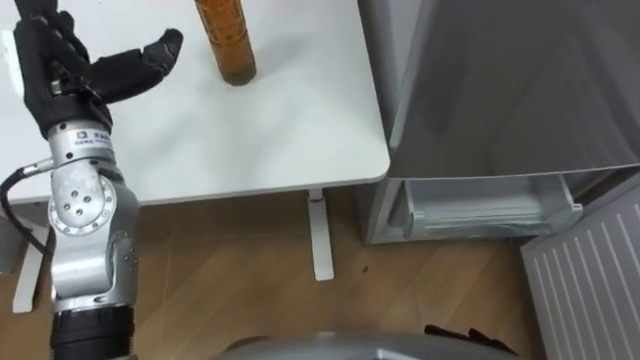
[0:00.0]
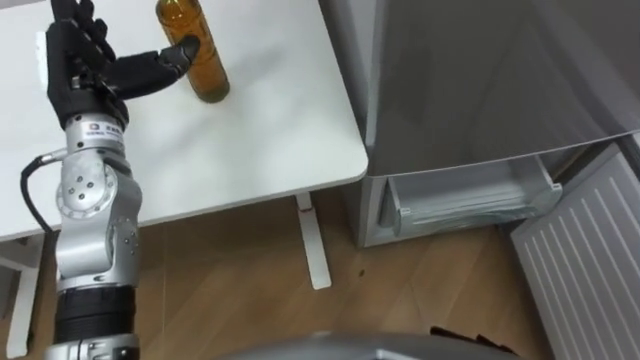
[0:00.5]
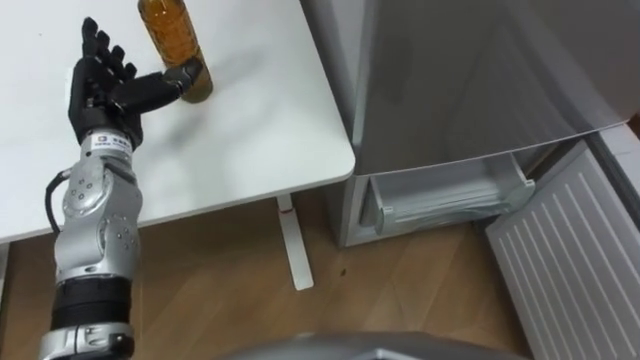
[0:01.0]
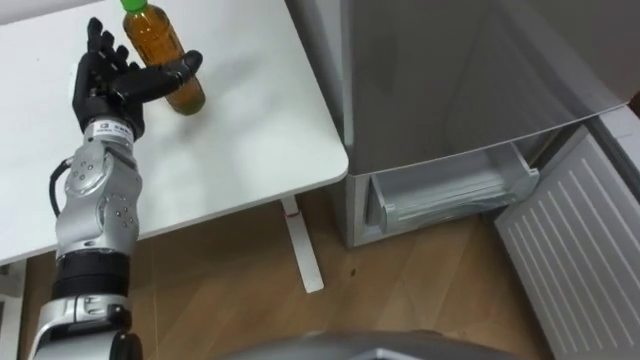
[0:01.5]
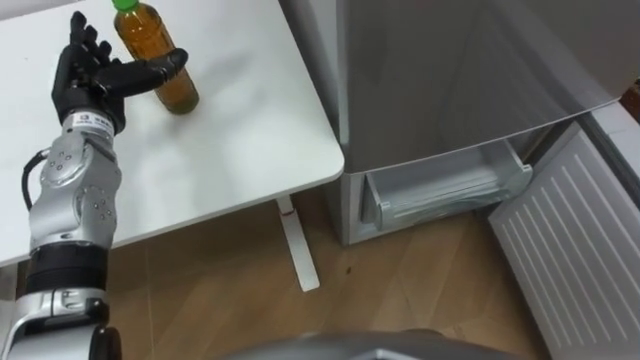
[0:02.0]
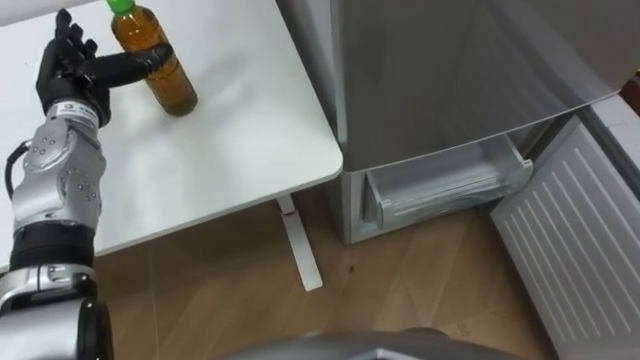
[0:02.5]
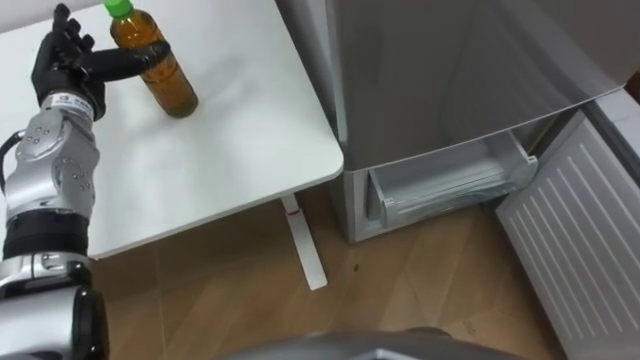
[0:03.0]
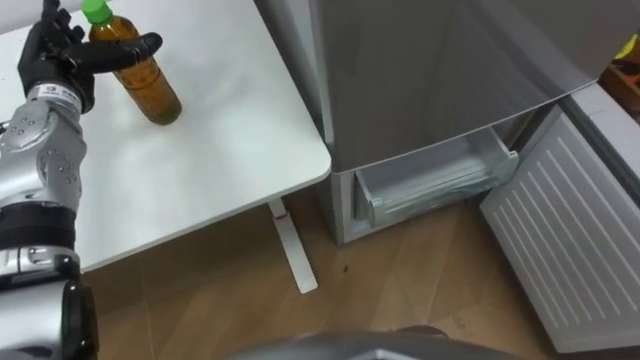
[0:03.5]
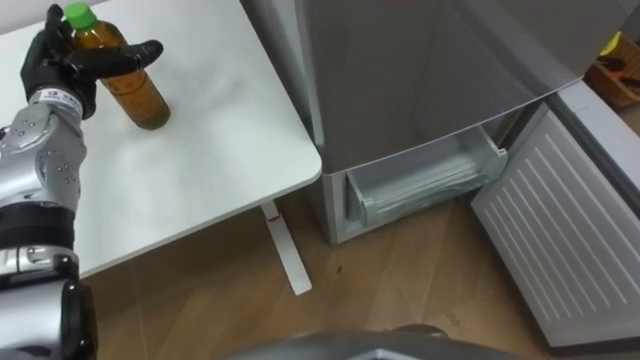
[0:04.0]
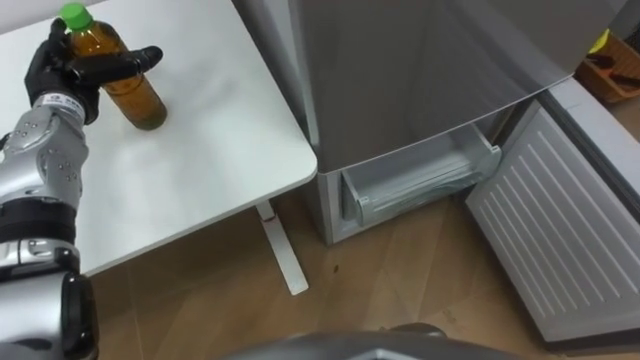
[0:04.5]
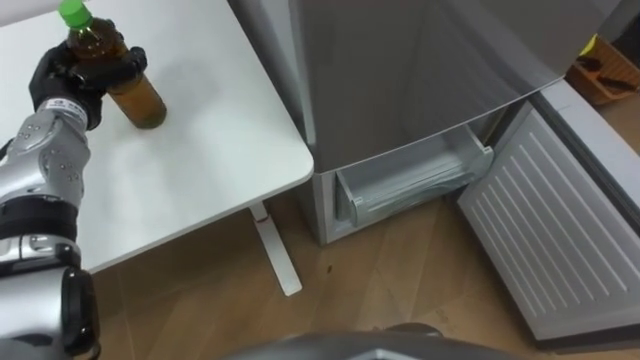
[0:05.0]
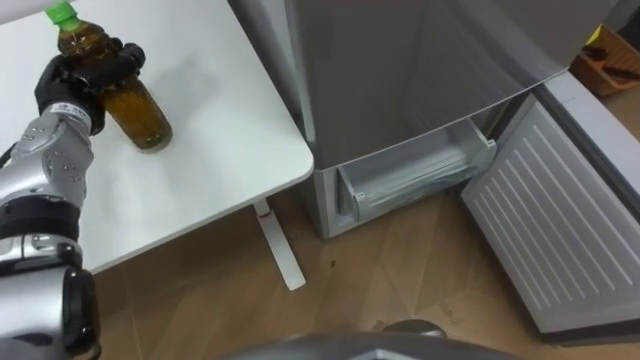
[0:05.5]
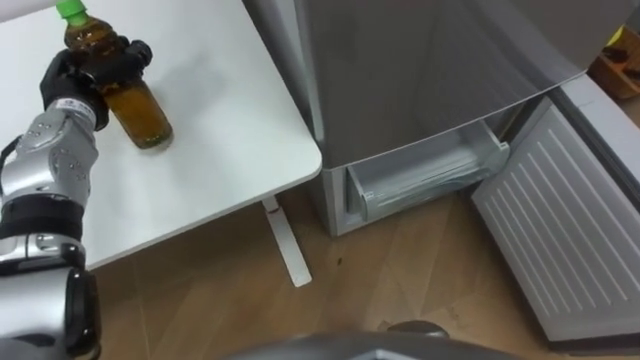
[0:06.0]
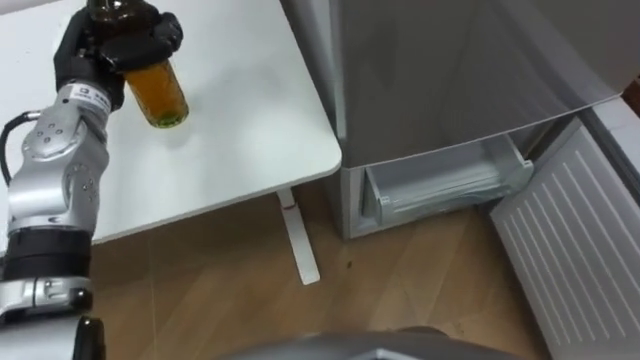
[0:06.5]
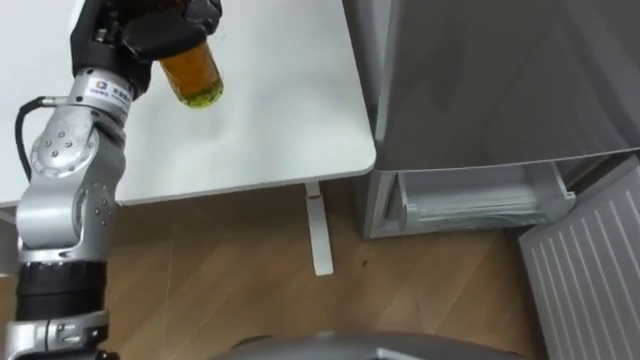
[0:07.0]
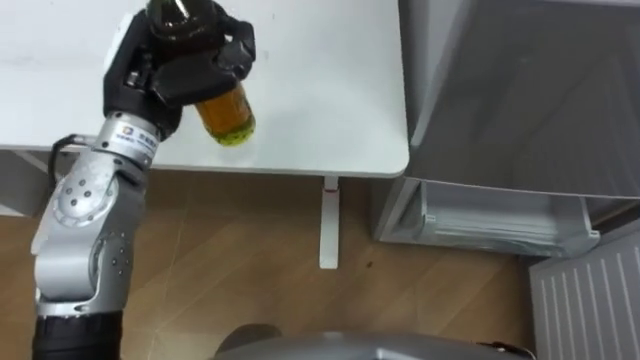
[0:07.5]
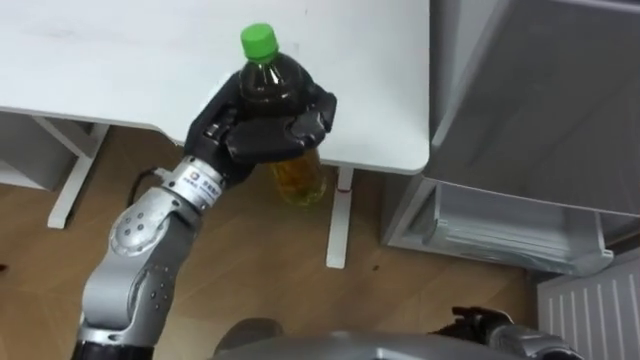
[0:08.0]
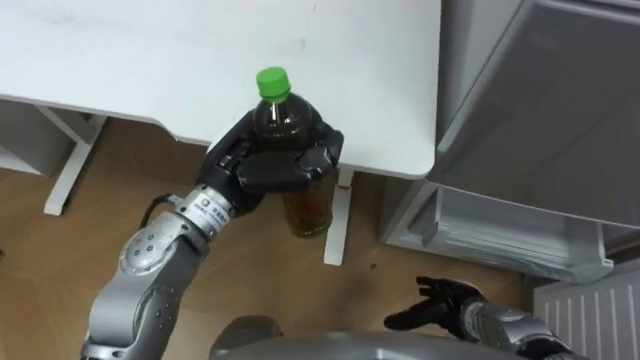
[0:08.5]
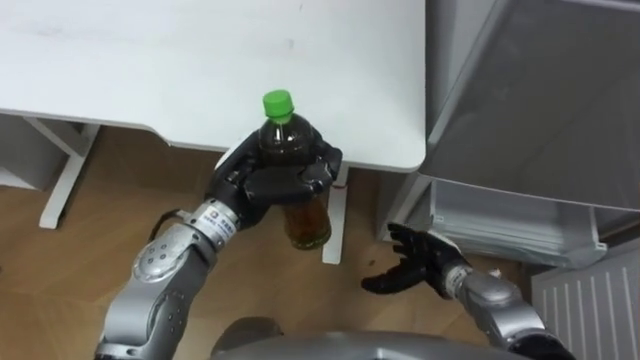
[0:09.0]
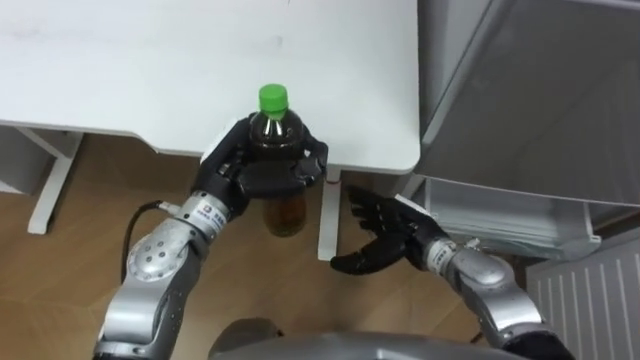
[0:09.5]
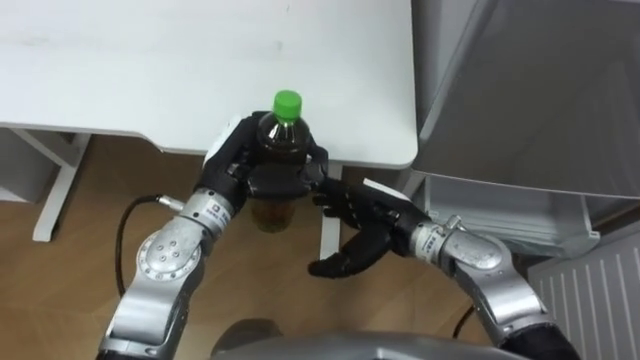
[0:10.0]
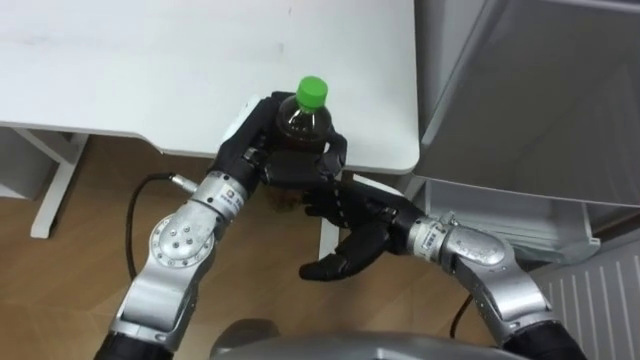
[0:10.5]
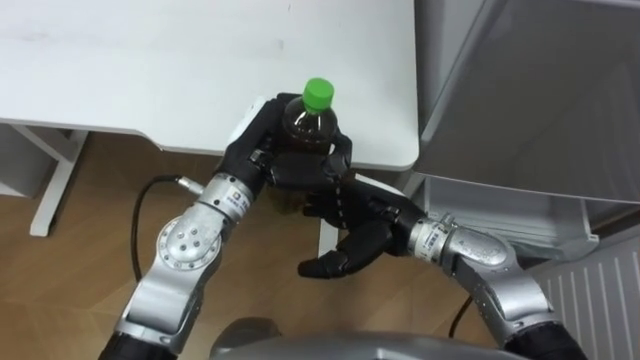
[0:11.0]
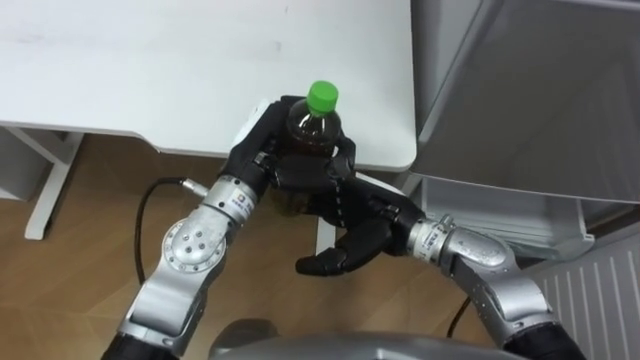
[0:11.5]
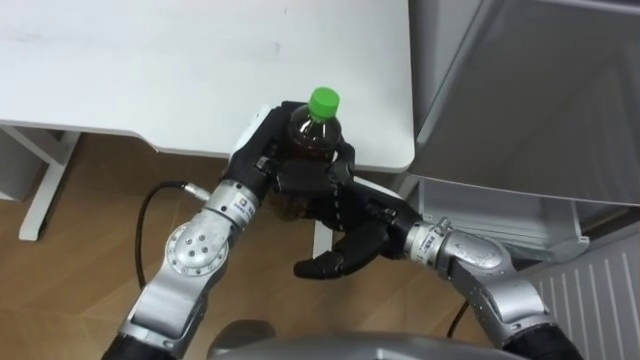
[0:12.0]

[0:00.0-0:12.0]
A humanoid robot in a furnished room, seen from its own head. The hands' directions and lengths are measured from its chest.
Task of the whole recording: Place the drink on the table on the bottom shelf of the refrigerator, then close the drawer and the refrigerator door.
0:00.0 to 0:02.0: The left hand travels downward and forward by roughly 10 cm.
0:04.0 to 0:06.0: The left hand closes up.
0:06.0 to 0:08.0: The left hand travels to the right and backward by about 20 cm.
0:08.0 to 0:10.0: The left hand goes roughly 5 cm downward; the right hand heads to the left, upward and forward, covering approximately 25 cm.
0:10.0 to 0:12.0: The hands move only a little.

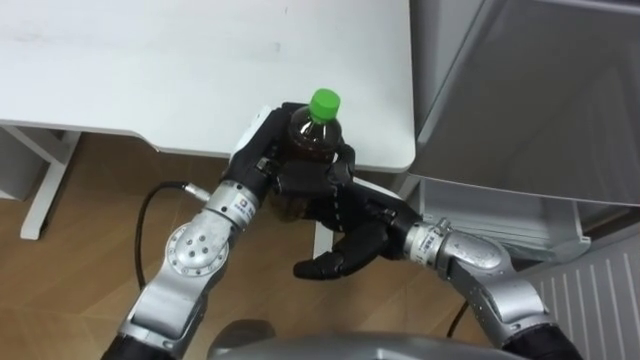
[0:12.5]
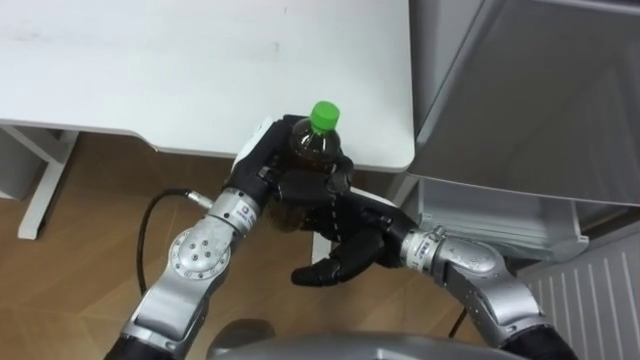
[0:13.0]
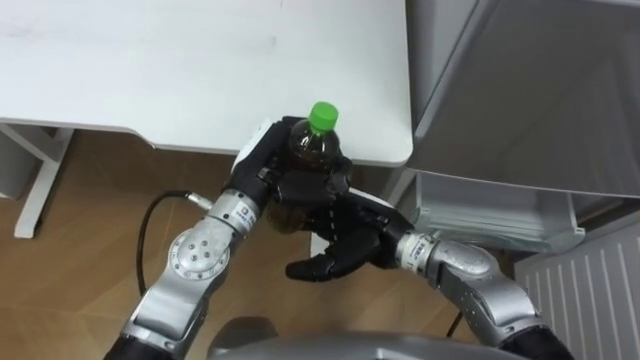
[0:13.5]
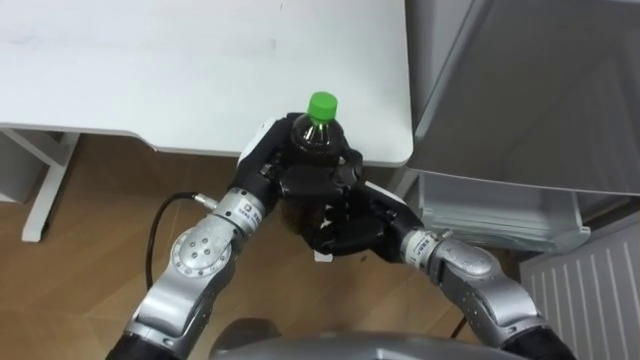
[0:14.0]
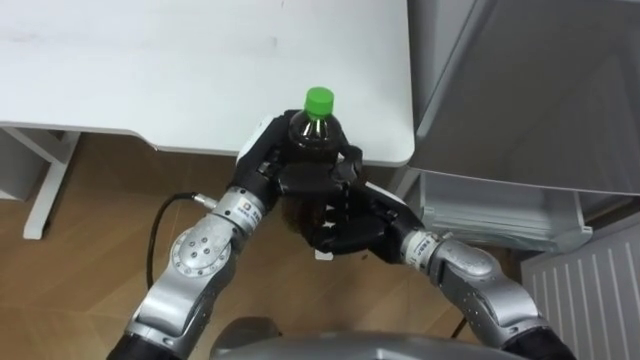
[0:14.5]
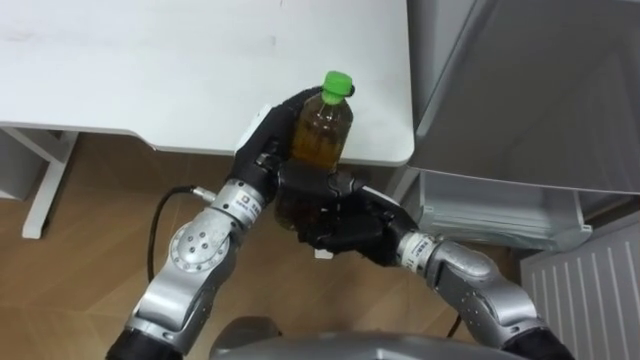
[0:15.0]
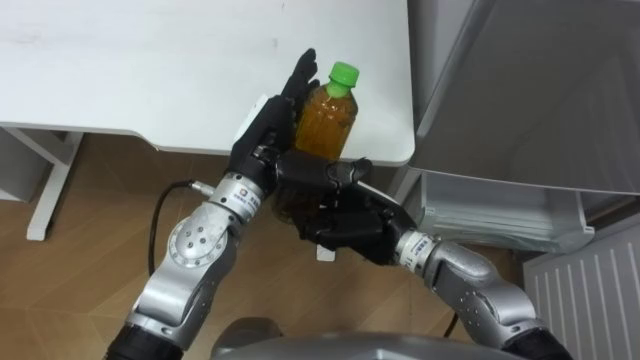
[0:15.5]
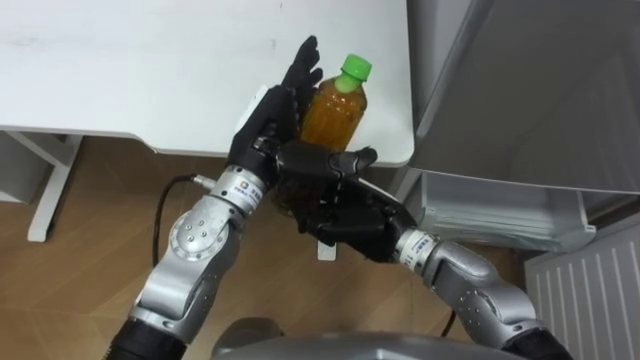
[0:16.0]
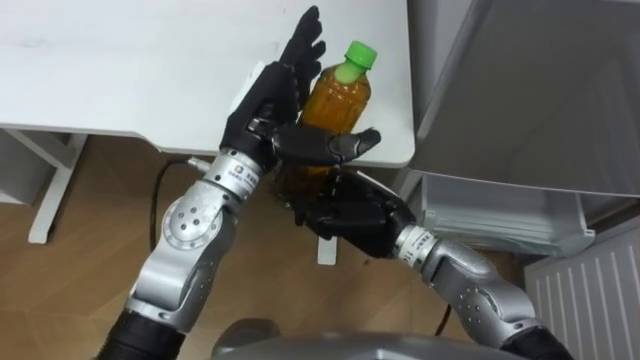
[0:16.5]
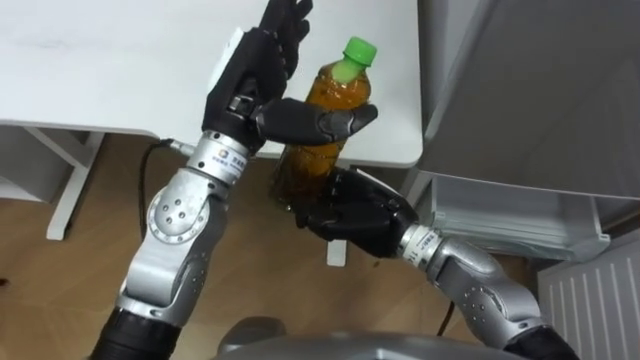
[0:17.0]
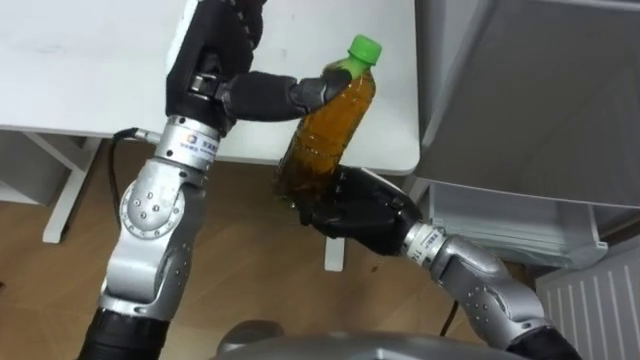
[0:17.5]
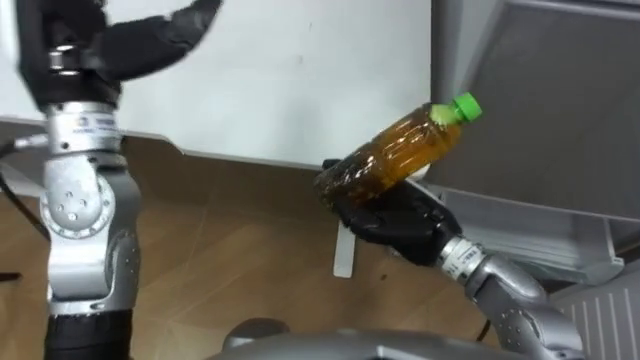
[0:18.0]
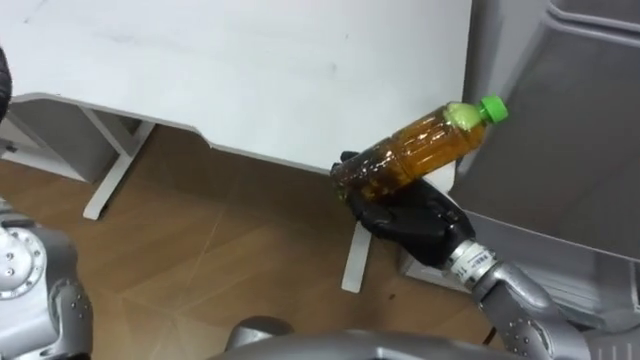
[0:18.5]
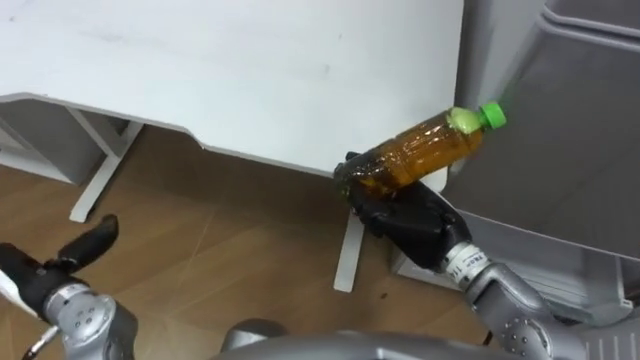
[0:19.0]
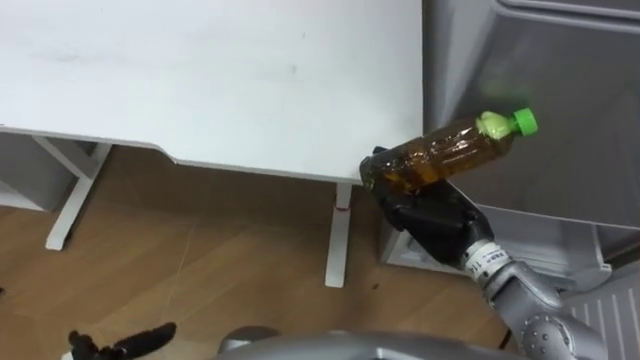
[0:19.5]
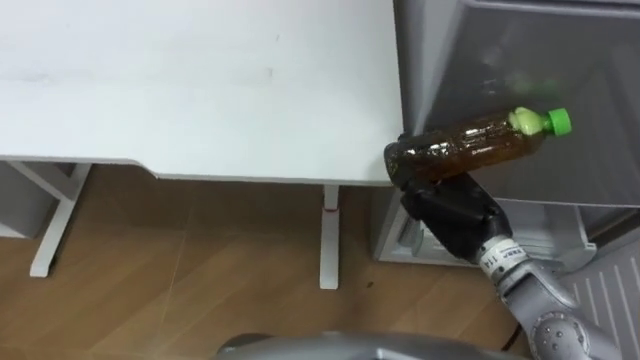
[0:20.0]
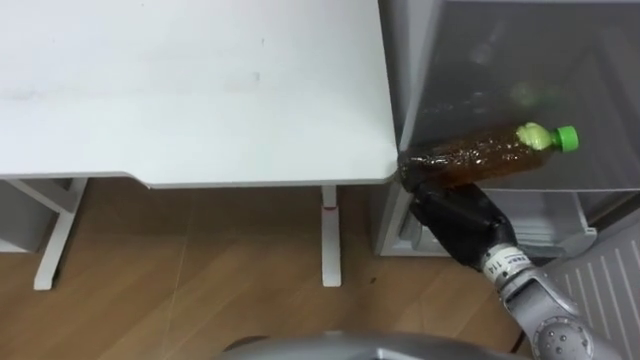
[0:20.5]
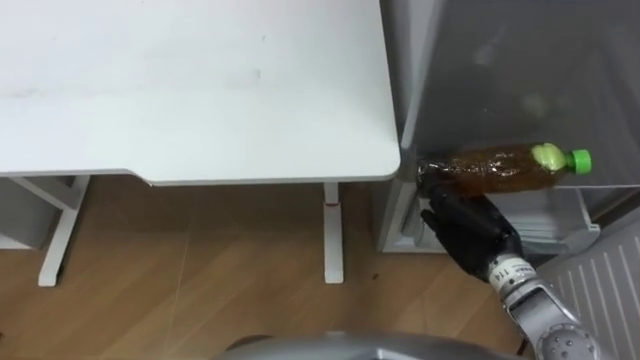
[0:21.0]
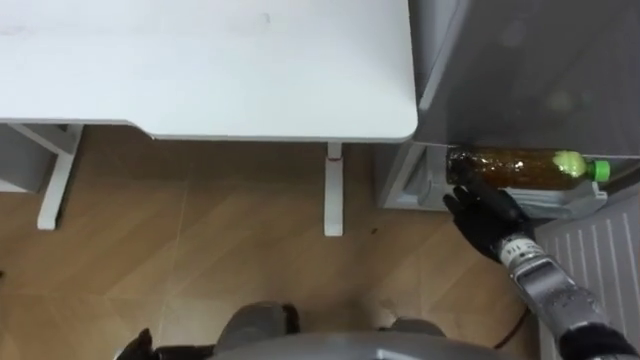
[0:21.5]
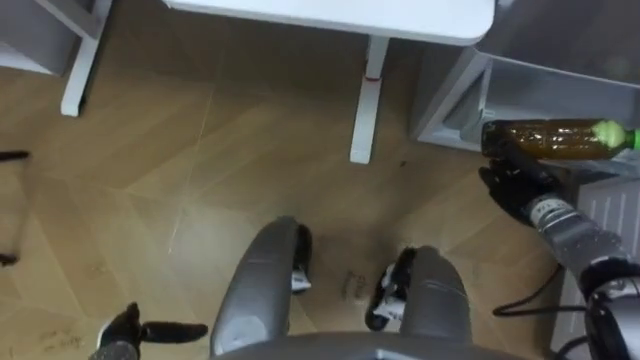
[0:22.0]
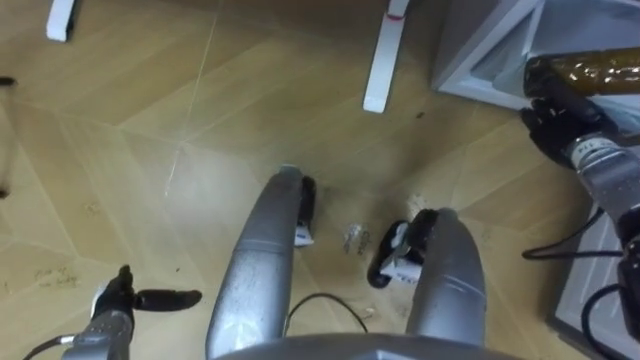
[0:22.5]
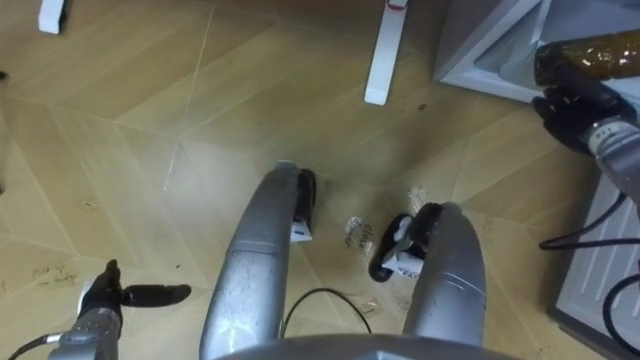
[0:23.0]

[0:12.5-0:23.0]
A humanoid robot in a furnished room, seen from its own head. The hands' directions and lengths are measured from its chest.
Task of the whole recording: Place the drink on the table on the bottom shelf of the refrigerator, then close the drawer and the refrigerator door.
0:12.5 to 0:14.5: The right hand closes its fingers.
0:14.5 to 0:16.5: The left hand goes roughly 5 cm upward, and opens.
0:16.5 to 0:19.0: The right hand is displaced to the right by about 10 cm.
0:19.0 to 0:21.0: The right hand goes some 10 cm to the right.
0:21.0 to 0:23.0: The right hand moves forward, to the right and upward, approximately 20 cm.
